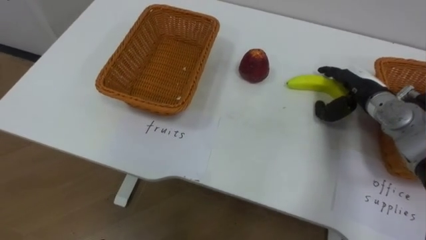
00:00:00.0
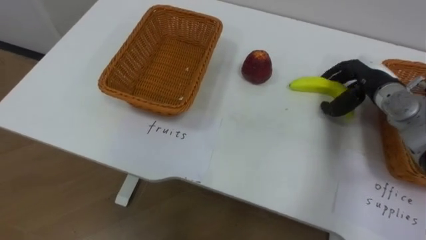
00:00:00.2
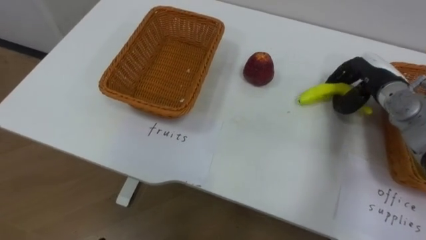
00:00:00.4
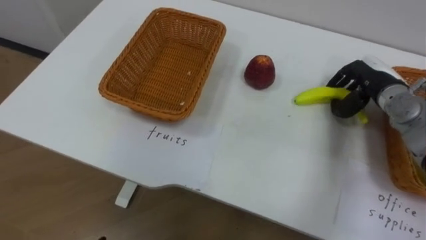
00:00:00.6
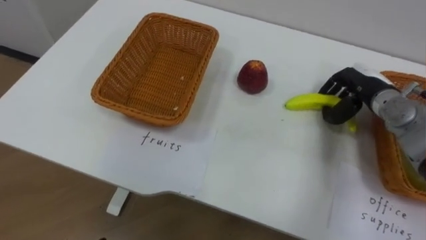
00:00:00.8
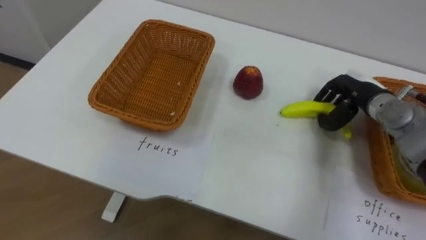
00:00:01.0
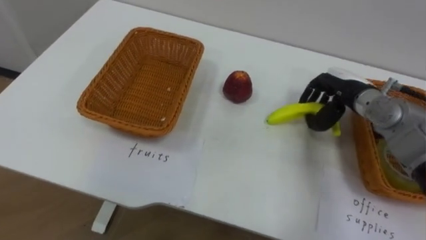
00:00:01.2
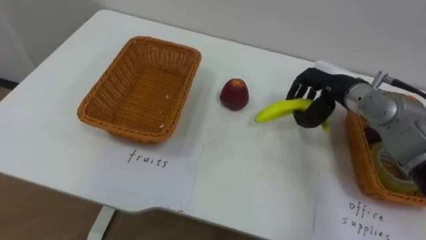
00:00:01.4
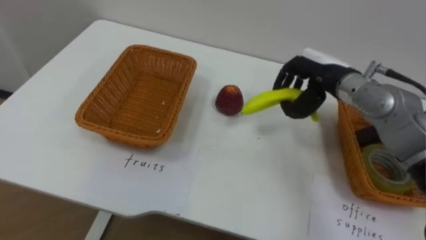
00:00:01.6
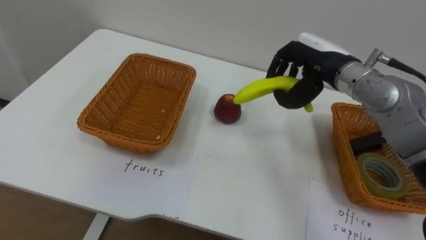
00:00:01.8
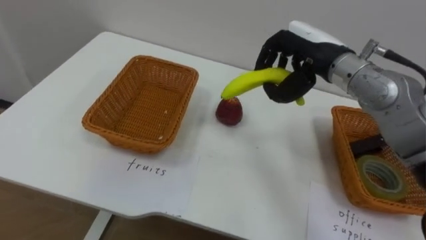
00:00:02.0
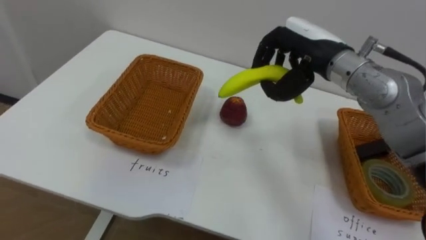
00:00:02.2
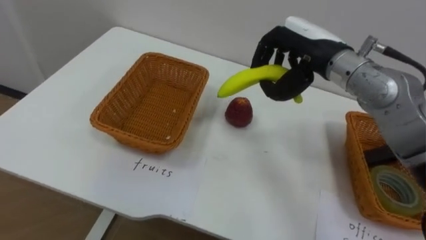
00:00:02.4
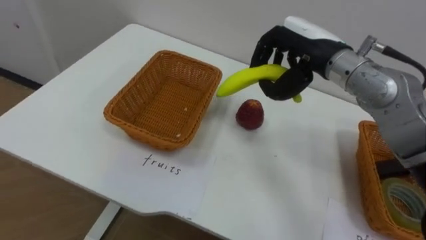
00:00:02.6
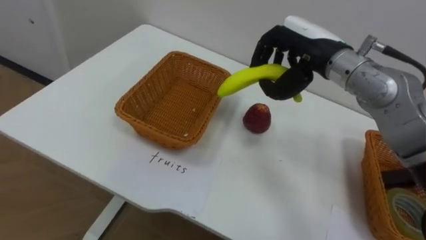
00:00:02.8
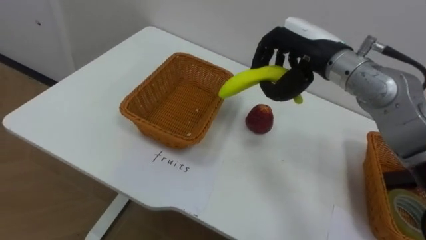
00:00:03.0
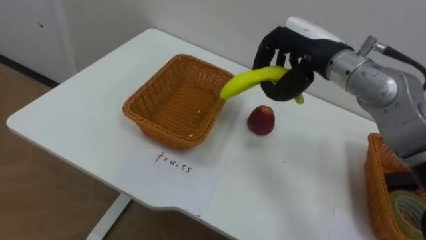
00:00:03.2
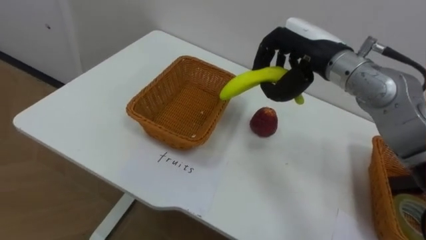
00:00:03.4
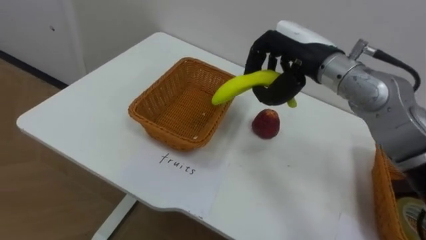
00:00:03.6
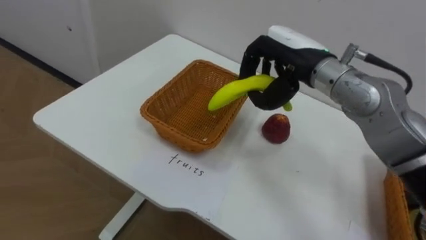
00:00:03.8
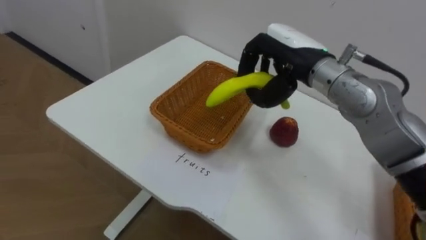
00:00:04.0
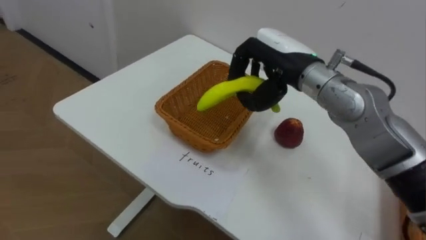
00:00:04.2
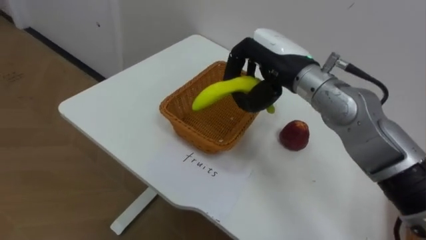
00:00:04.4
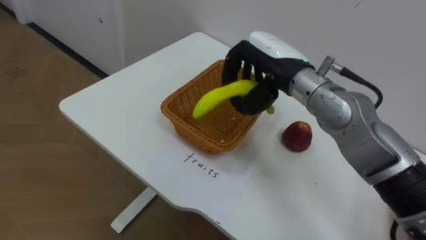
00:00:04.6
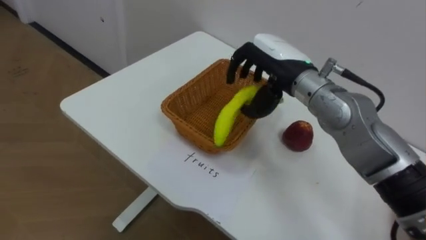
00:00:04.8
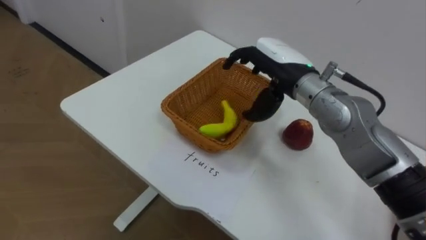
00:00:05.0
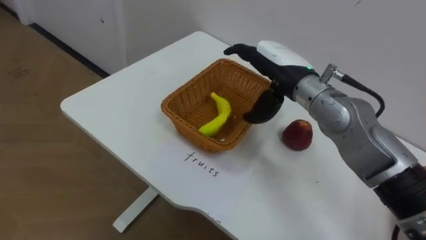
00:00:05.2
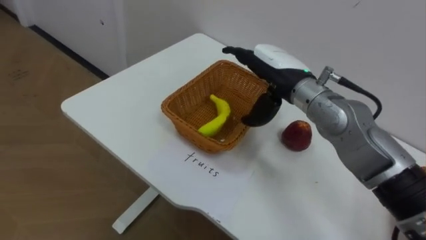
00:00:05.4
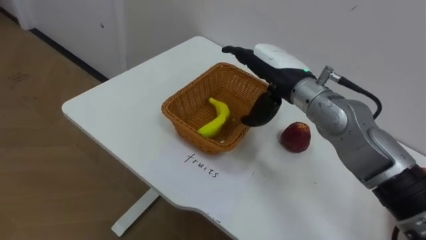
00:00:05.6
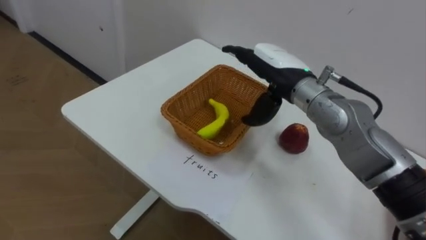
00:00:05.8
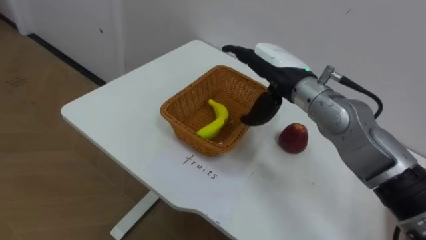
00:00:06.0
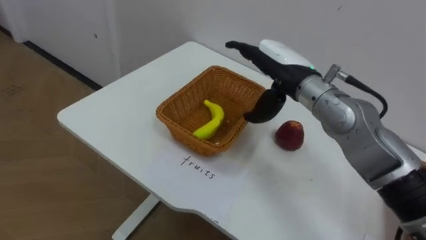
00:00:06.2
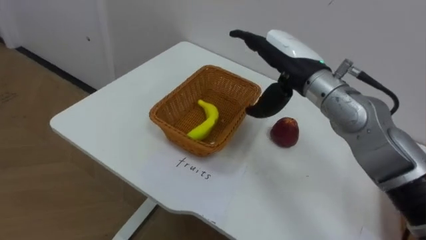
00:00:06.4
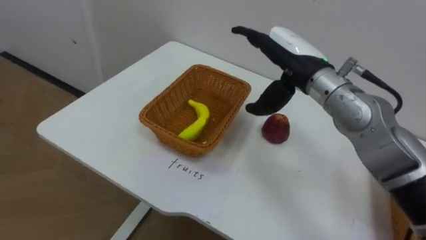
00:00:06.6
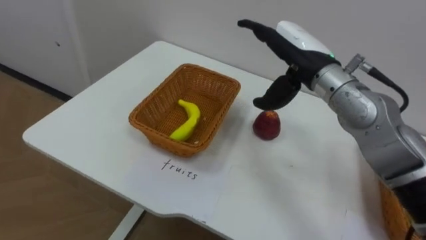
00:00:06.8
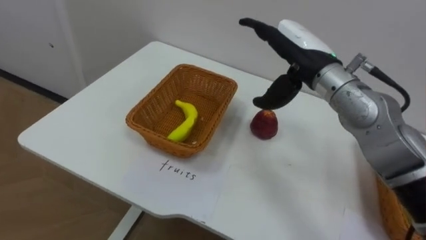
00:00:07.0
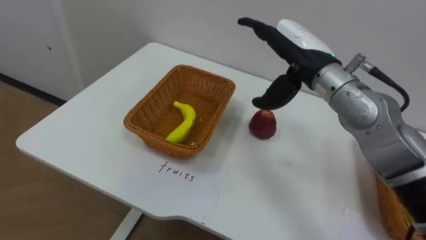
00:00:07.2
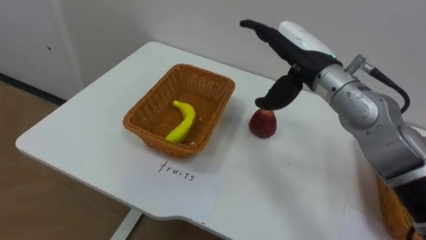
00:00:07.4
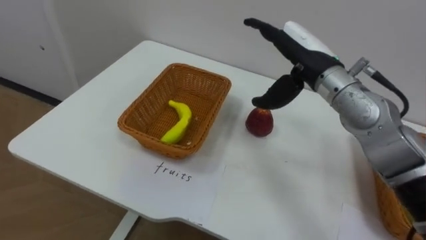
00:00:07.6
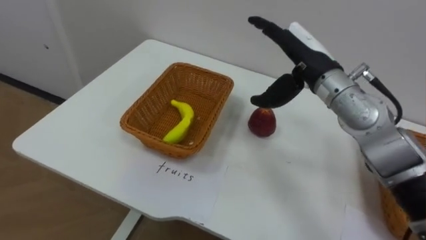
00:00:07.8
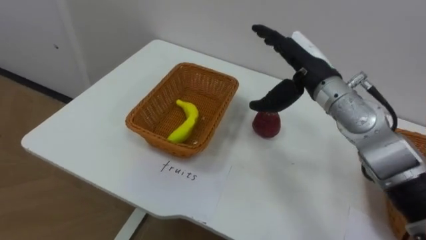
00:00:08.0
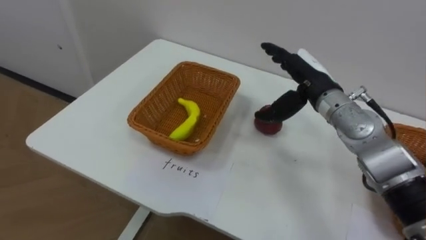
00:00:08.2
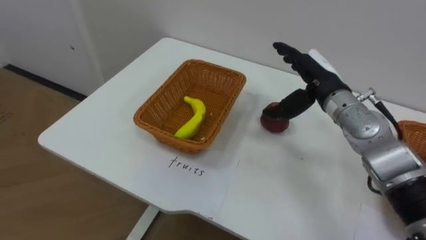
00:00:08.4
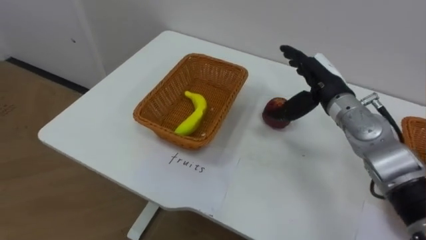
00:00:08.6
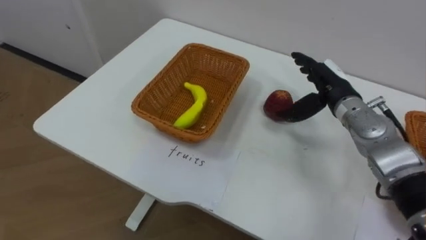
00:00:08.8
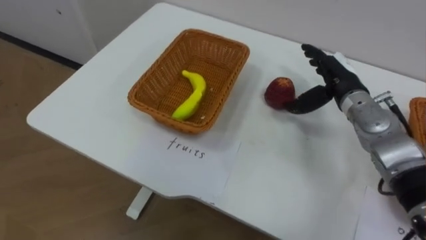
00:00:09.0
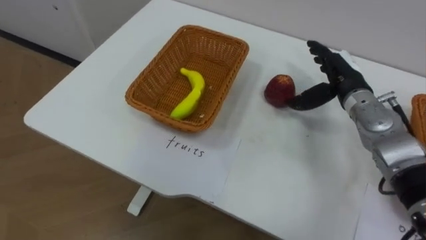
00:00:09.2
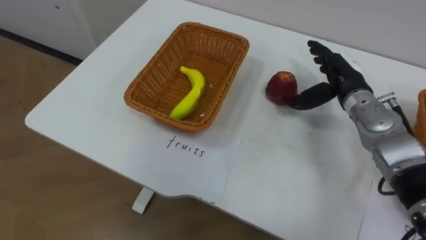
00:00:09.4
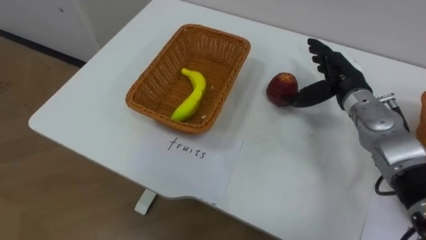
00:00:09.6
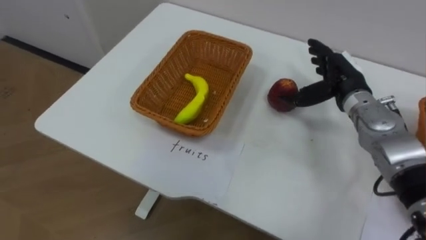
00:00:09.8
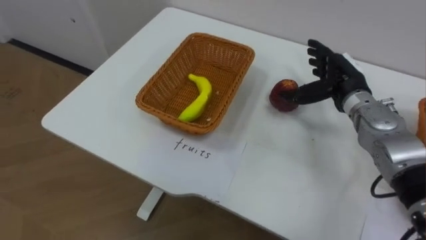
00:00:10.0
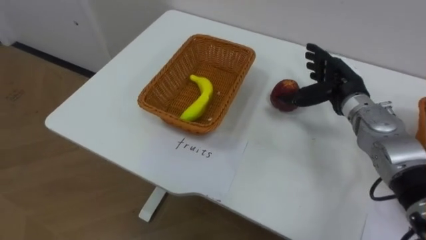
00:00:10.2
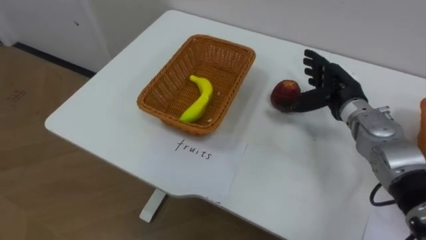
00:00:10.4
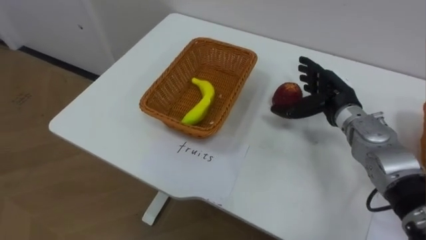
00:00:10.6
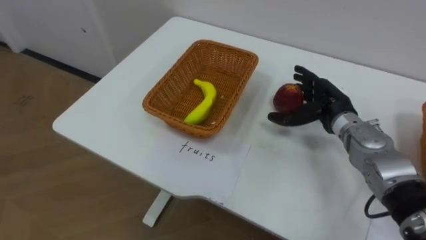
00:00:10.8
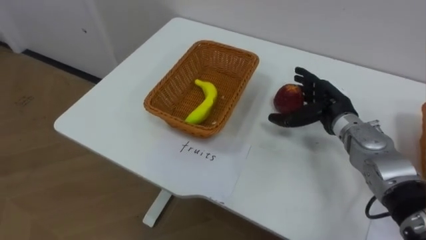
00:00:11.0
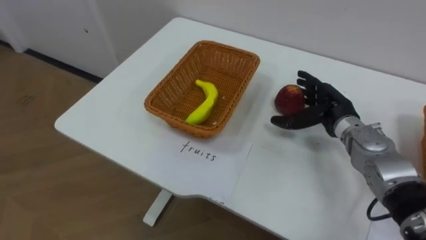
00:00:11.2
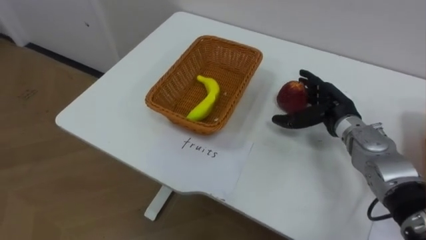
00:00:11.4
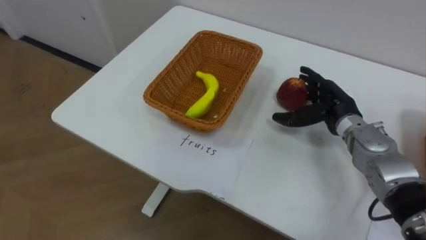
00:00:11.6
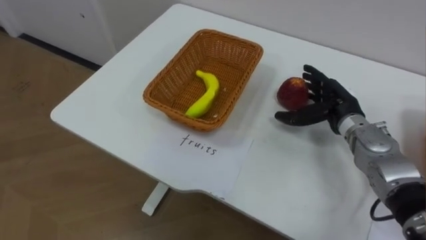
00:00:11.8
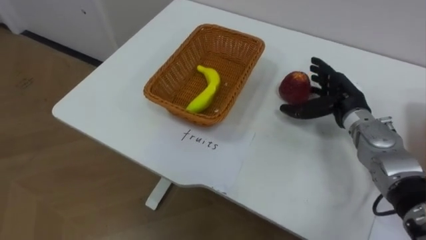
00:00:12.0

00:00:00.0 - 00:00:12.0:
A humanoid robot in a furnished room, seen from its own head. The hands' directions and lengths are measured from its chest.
Task of the whole recording: Separate the items on the table and place them into the two baskets.
00:00:00.0 - 00:00:01.6: The right hand moves to the left and upward, roughly 10 cm, and closes.
00:00:01.6 - 00:00:03.0: The right hand moves upward, roughly 5 cm.
00:00:03.0 - 00:00:04.4: The right hand shifts by some 5 cm.
00:00:04.4 - 00:00:06.0: The right hand opens.
00:00:07.6 - 00:00:09.0: The right hand is displaced to the right and downward by roughly 10 cm.

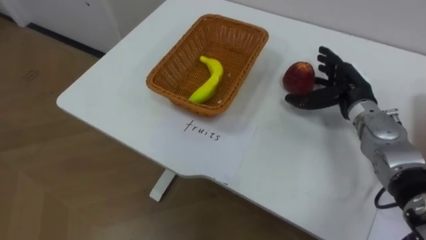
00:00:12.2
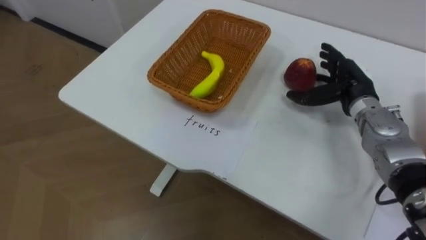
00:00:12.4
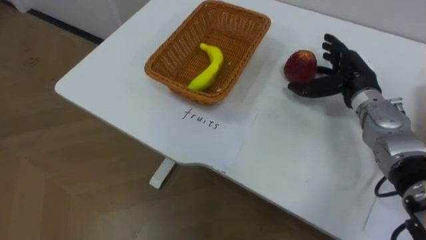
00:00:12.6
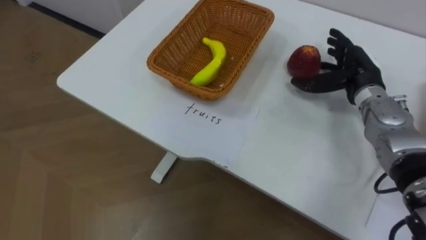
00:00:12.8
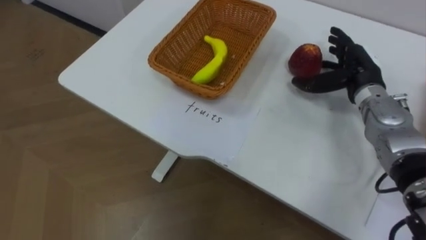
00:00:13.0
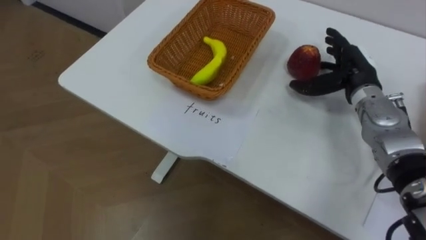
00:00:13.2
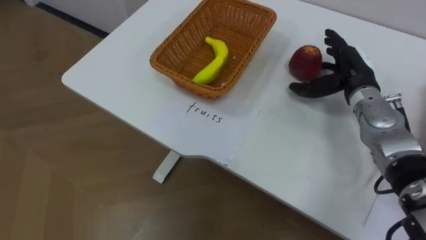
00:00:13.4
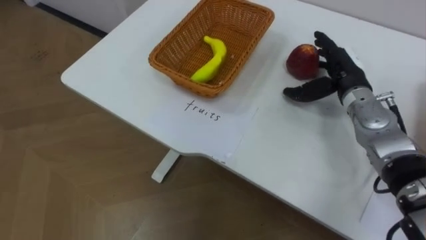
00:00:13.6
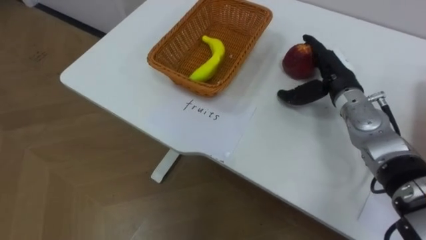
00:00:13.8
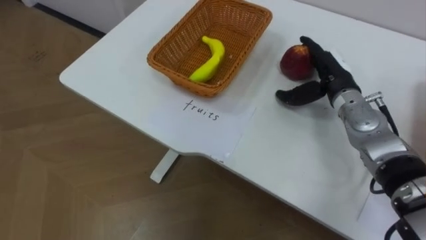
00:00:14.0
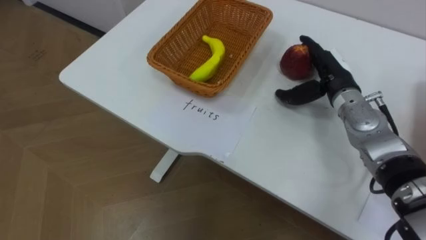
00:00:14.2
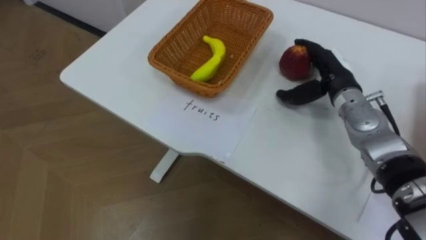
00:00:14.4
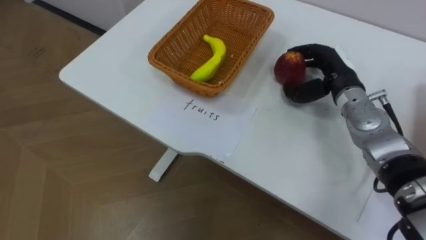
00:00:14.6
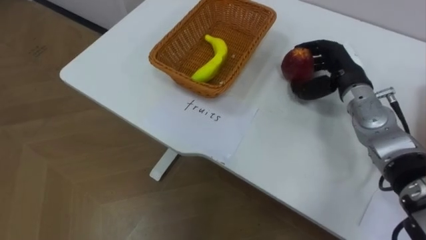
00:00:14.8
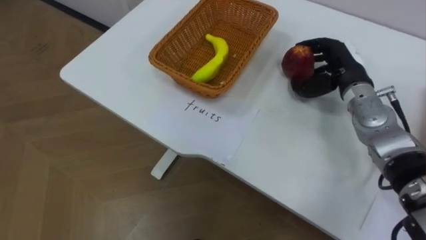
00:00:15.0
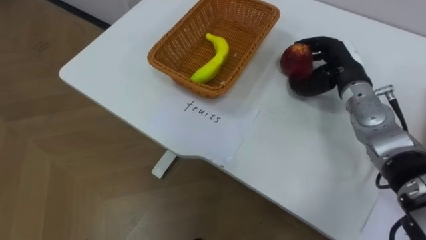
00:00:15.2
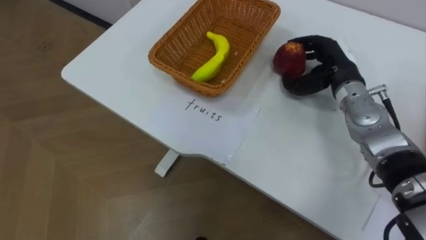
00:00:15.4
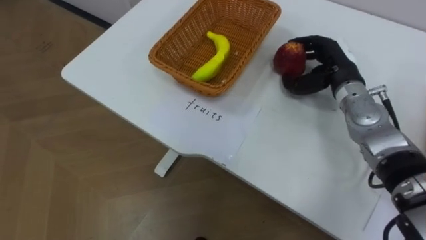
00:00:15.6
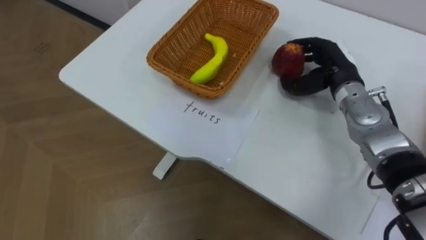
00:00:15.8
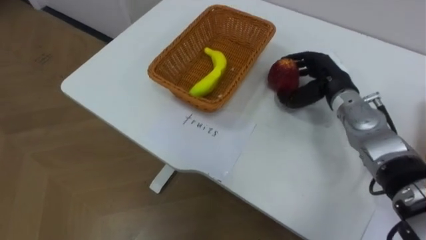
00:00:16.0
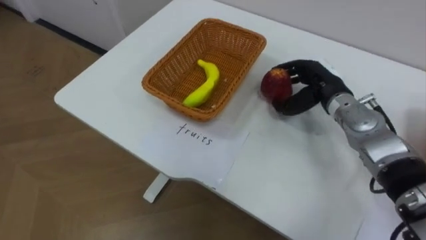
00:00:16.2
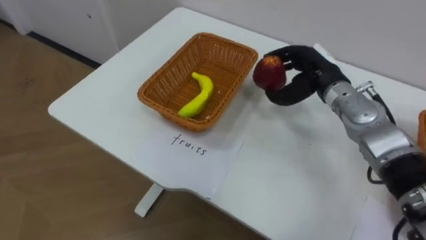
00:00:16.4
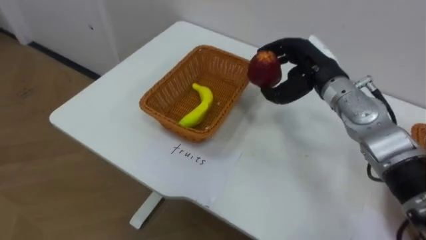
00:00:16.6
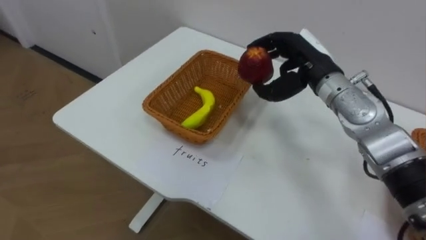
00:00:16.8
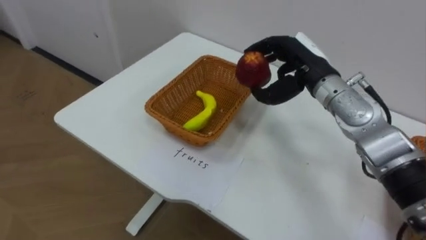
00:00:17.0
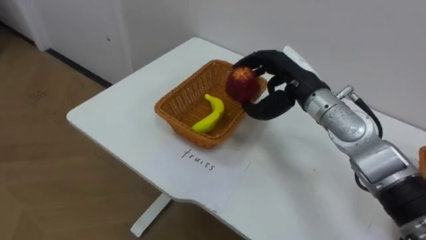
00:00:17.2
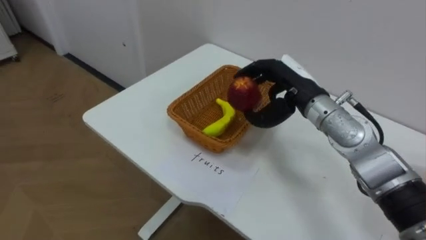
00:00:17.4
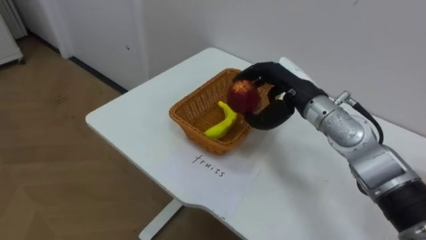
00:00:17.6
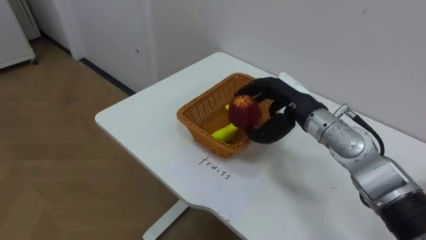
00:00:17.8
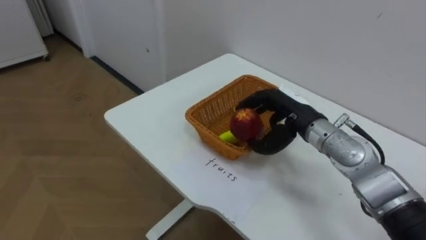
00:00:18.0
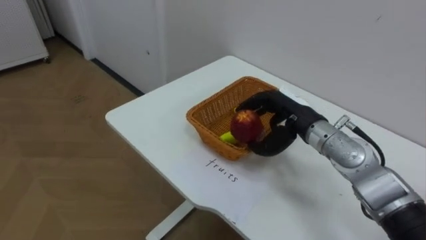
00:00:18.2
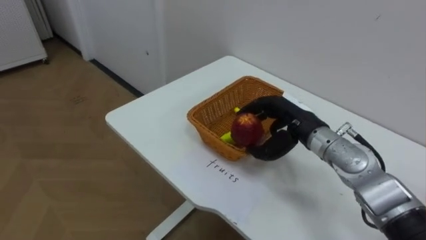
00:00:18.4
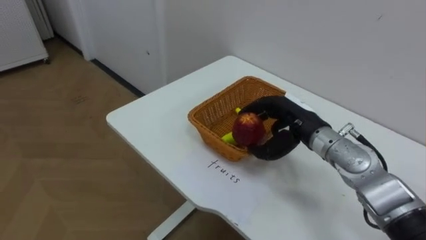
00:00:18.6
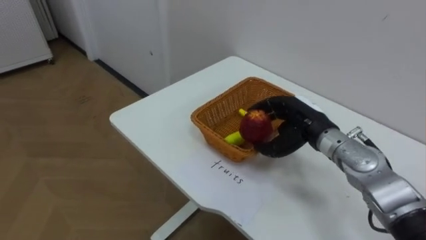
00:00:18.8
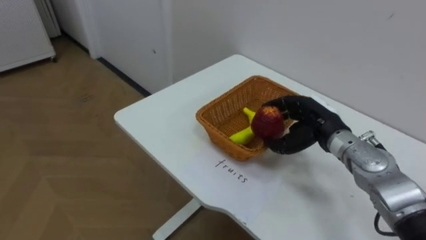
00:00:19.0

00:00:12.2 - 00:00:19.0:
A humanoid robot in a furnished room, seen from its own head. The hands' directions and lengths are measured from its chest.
Task of the whole recording: Separate the items on the table and place them into the two baskets.
00:00:13.6 - 00:00:15.0: The right hand closes.
00:00:16.2 - 00:00:17.6: The right hand shifts roughly 5 cm to the left.
00:00:17.6 - 00:00:19.0: The right hand shifts some 10 cm downward and to the right.
